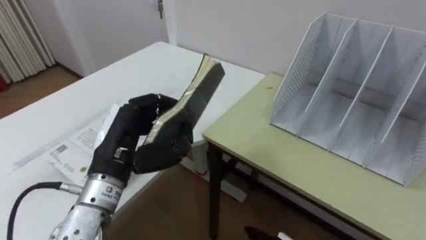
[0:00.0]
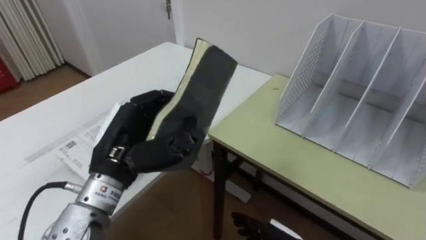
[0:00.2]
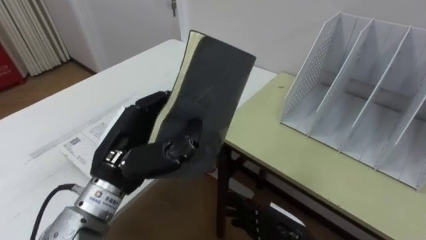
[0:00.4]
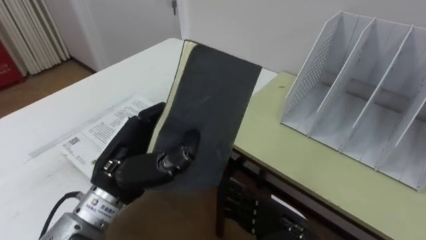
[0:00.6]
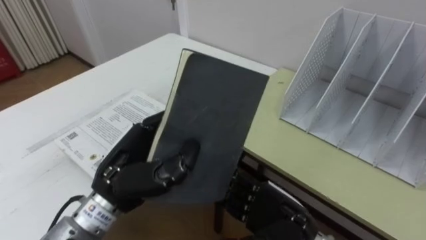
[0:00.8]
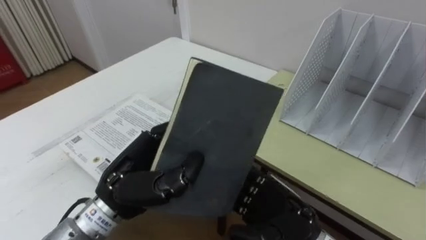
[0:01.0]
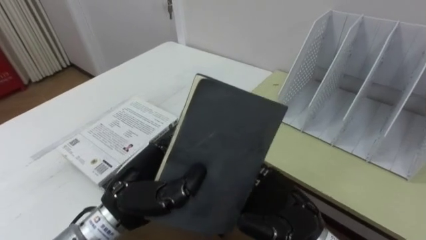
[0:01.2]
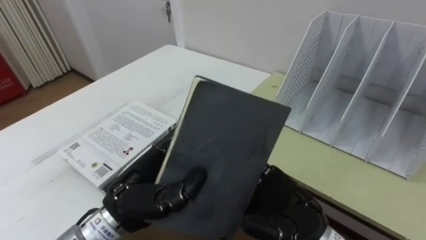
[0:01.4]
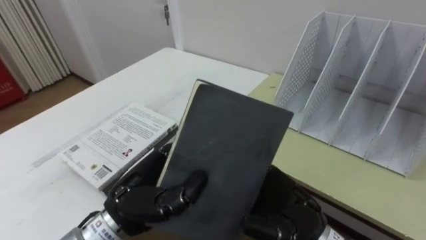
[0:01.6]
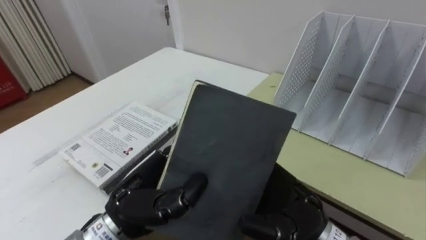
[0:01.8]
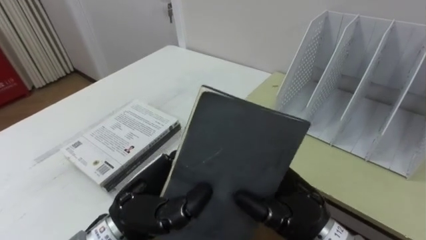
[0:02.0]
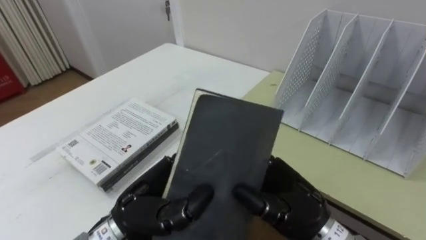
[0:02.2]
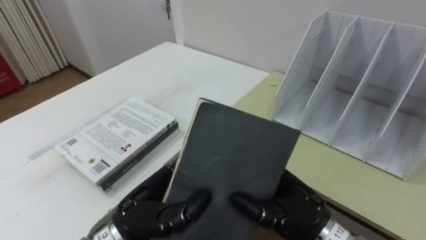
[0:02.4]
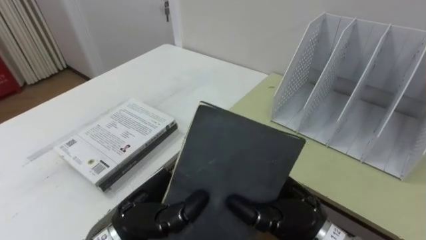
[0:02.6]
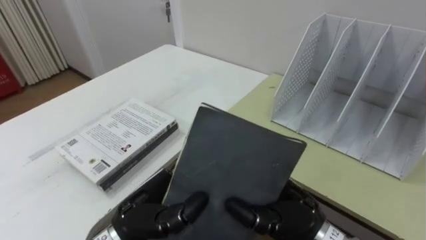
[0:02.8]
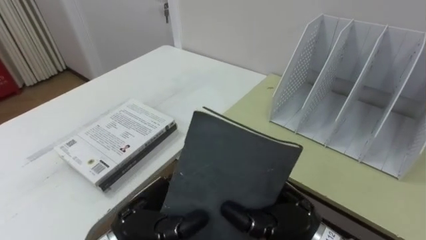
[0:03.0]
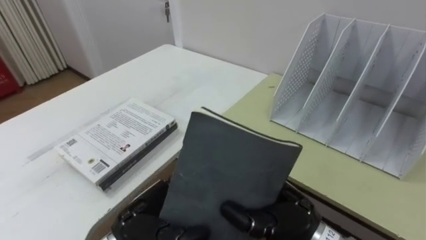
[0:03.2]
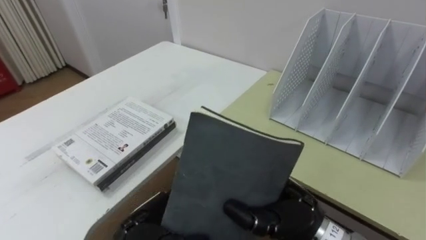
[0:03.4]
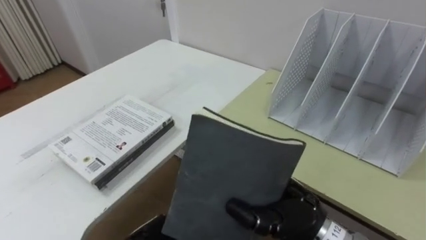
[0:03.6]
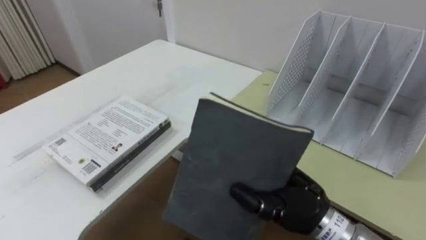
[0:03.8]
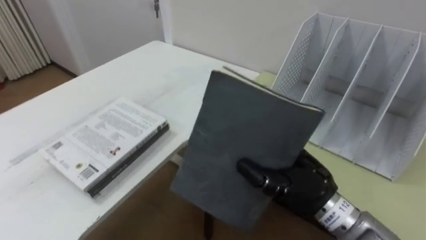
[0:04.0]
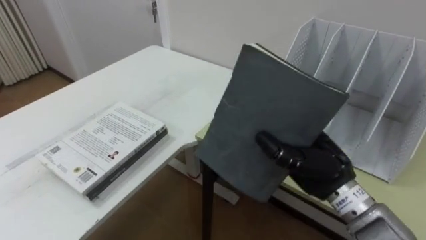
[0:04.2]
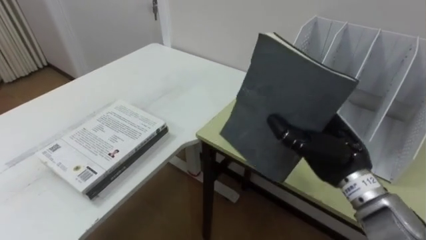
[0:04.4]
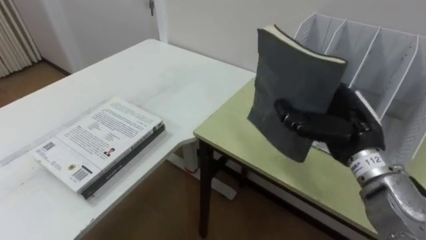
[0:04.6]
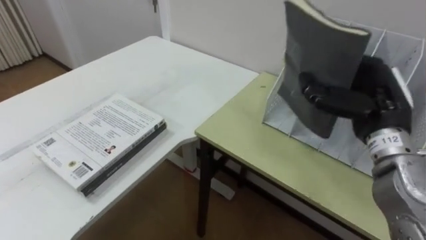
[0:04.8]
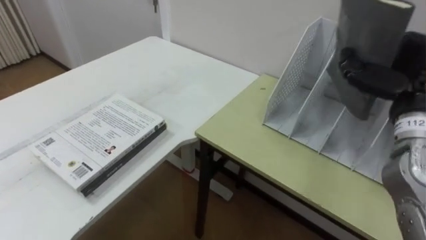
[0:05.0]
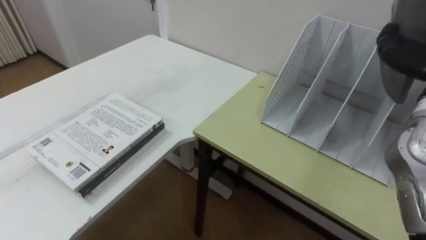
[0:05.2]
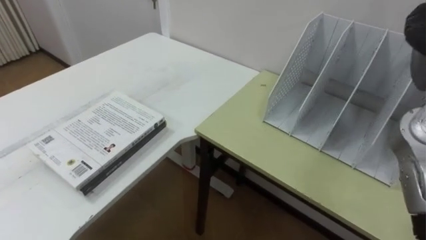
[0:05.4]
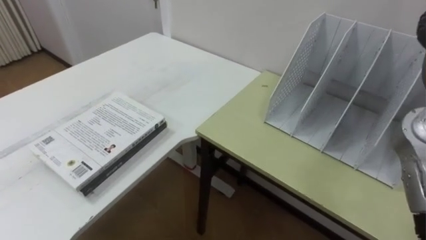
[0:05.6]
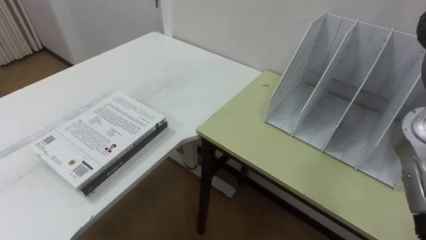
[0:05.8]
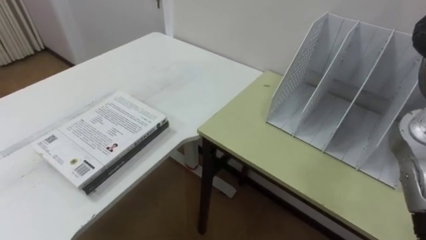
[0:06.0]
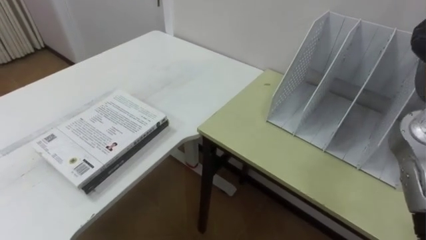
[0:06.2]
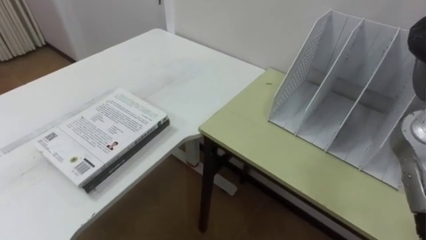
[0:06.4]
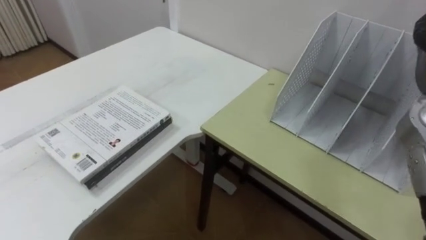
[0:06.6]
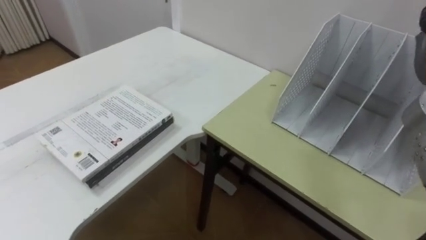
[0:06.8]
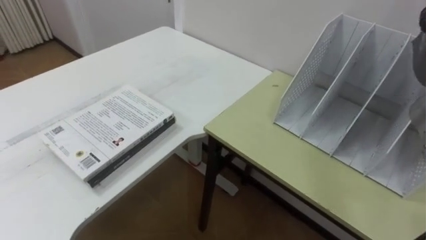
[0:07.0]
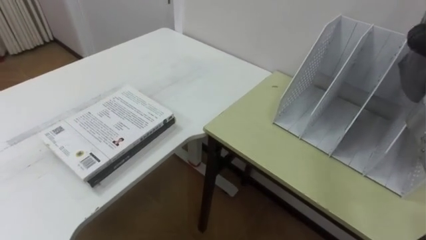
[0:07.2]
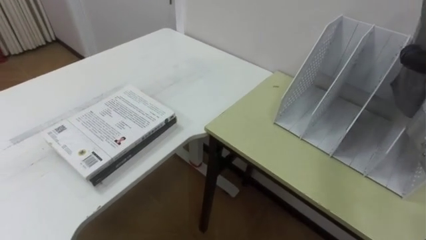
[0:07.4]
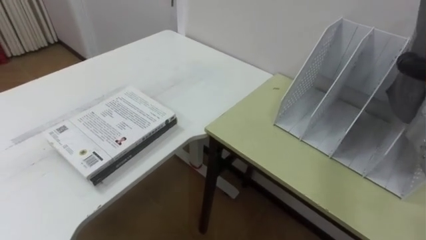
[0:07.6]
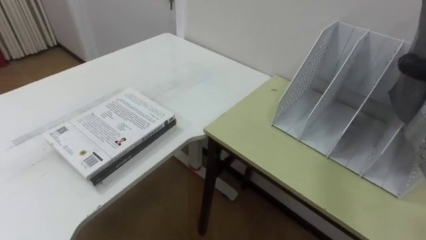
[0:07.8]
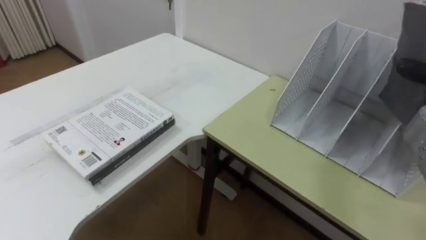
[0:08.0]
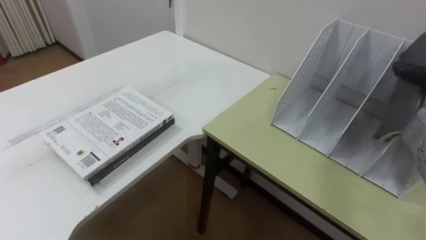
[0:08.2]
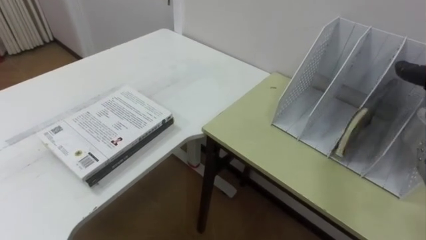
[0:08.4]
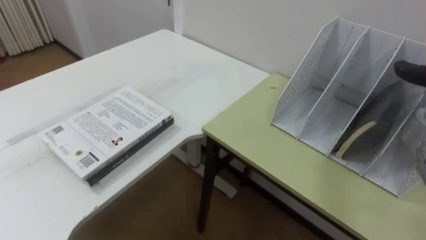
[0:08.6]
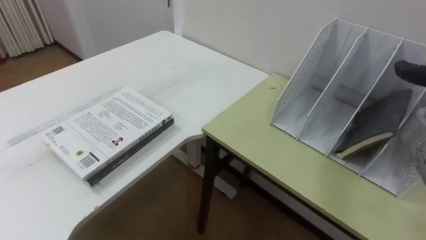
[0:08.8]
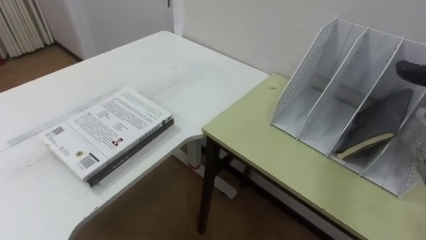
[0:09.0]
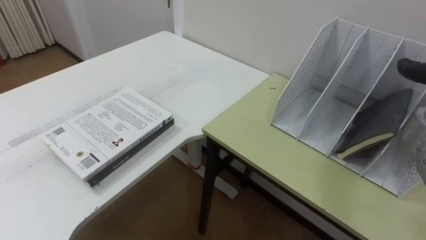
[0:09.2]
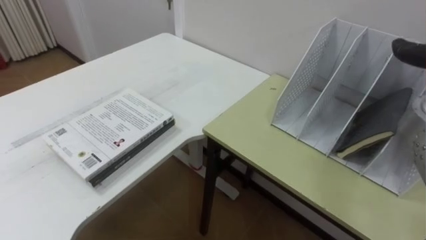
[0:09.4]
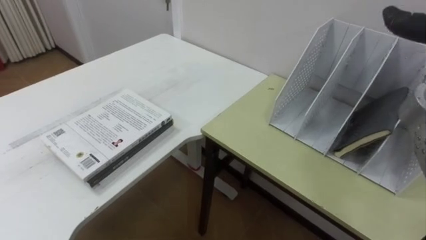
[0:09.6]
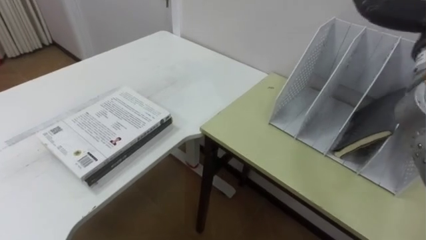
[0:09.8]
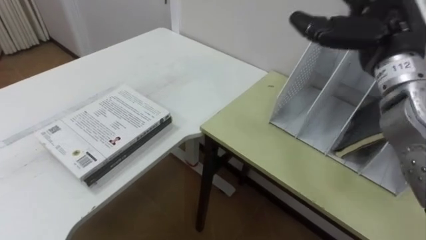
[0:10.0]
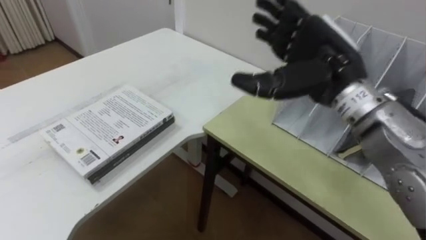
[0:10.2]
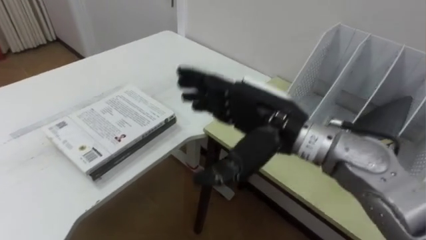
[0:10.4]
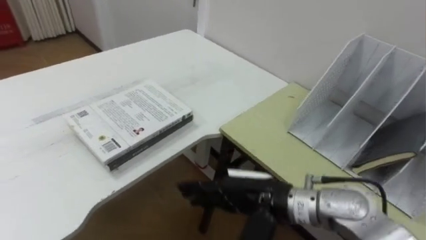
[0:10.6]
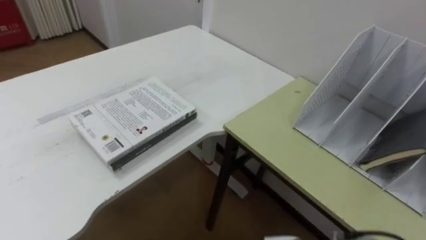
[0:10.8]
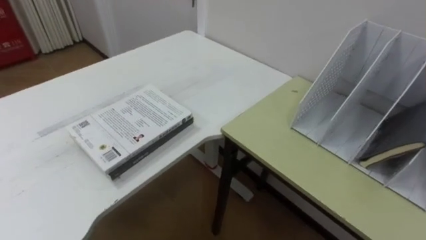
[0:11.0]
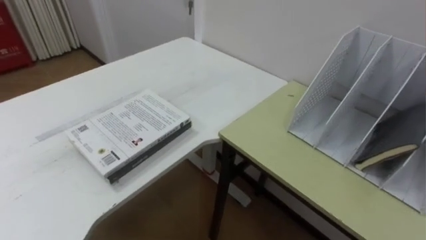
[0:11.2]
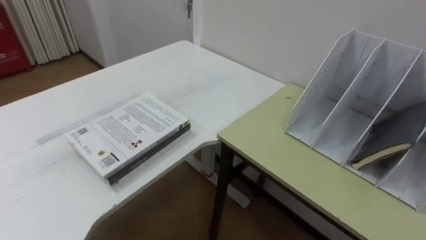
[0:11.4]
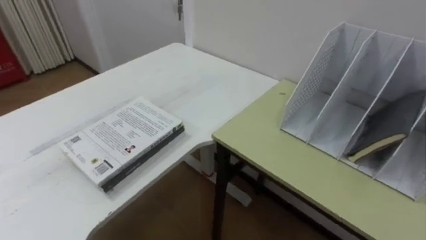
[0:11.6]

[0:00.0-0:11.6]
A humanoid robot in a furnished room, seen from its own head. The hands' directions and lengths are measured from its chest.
Task of the whole recording: Put the books on the table onto the bookshelf.
0:00.0 to 0:01.4: The left hand moves approximately 5 cm.
0:01.4 to 0:02.8: The right hand closes its fingers.
0:02.8 to 0:04.4: The right hand shifts about 10 cm to the right and forward.

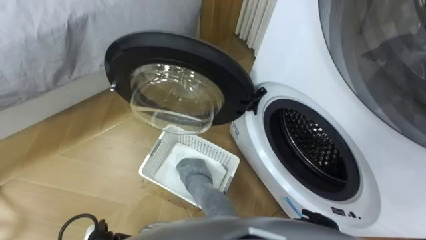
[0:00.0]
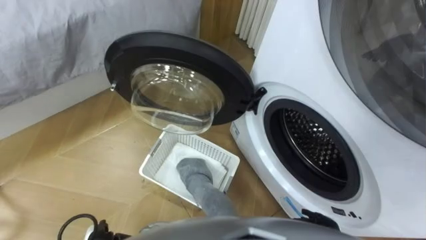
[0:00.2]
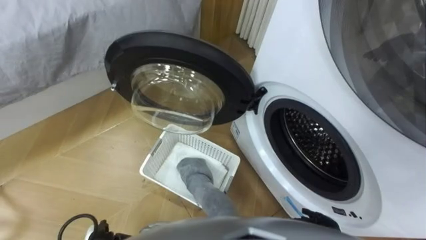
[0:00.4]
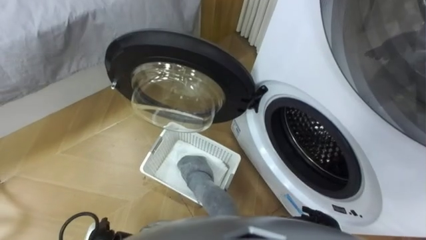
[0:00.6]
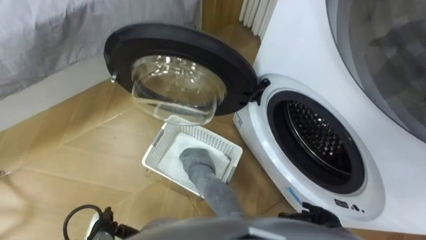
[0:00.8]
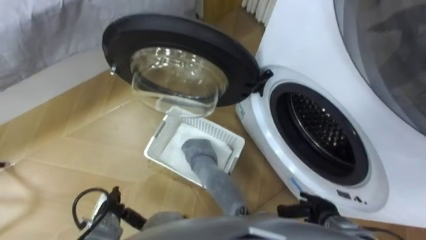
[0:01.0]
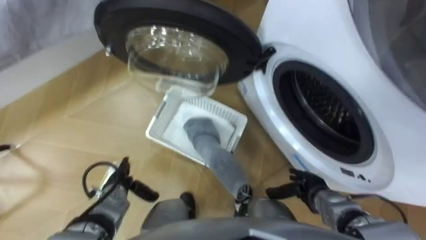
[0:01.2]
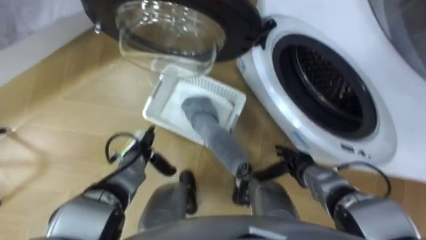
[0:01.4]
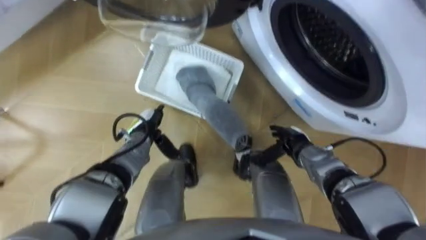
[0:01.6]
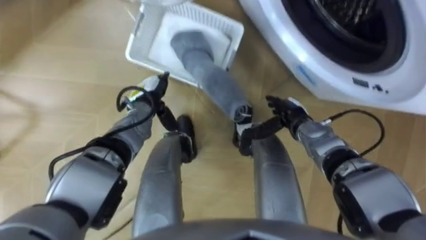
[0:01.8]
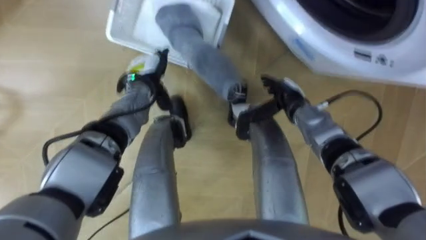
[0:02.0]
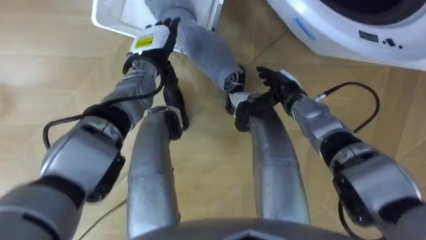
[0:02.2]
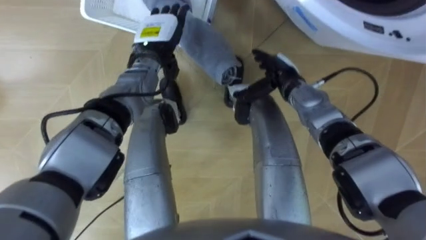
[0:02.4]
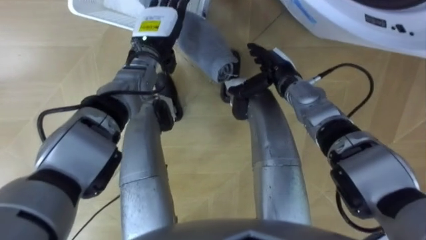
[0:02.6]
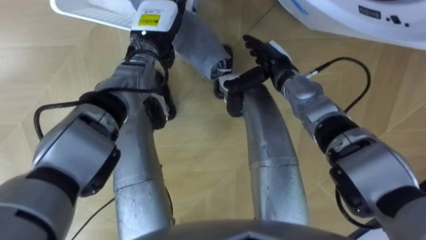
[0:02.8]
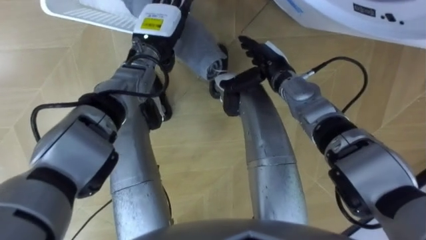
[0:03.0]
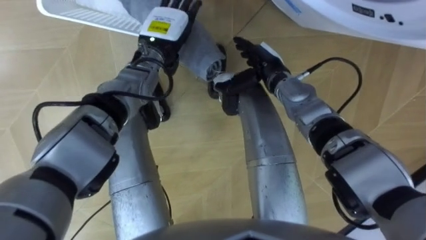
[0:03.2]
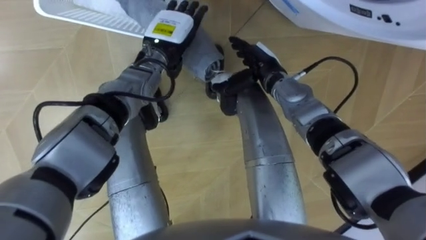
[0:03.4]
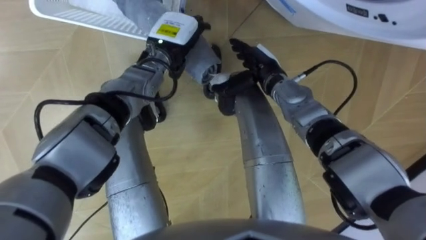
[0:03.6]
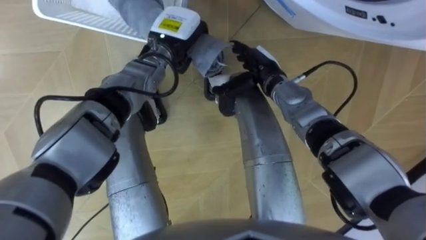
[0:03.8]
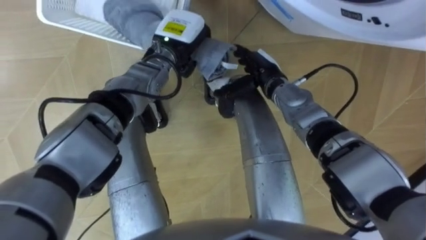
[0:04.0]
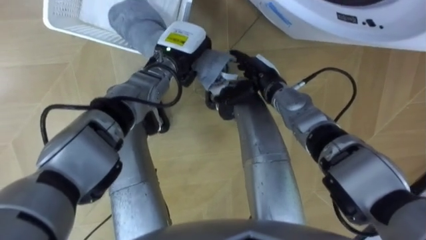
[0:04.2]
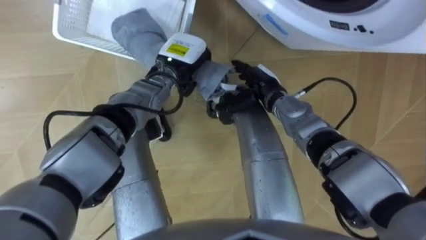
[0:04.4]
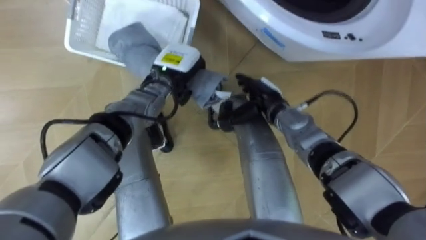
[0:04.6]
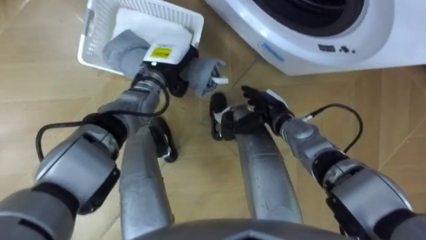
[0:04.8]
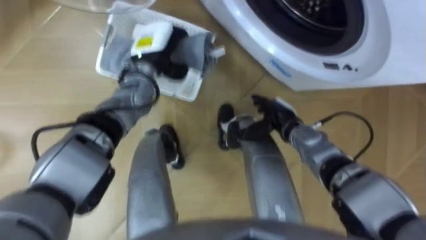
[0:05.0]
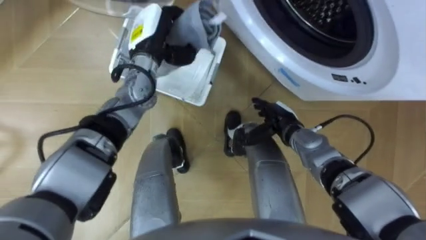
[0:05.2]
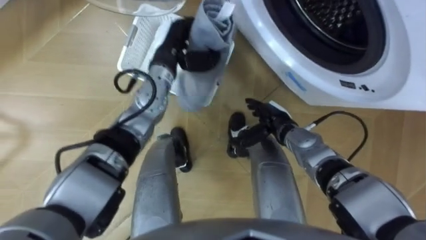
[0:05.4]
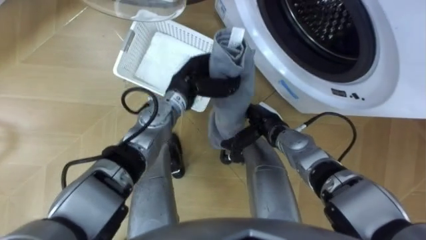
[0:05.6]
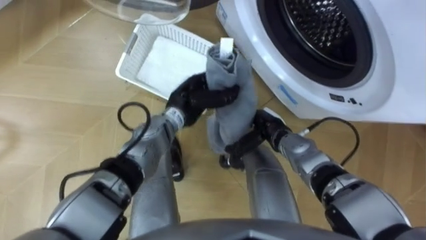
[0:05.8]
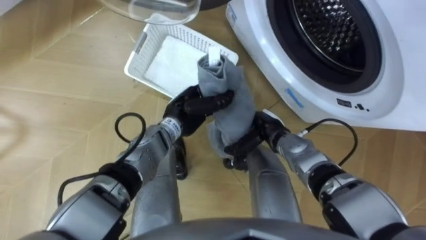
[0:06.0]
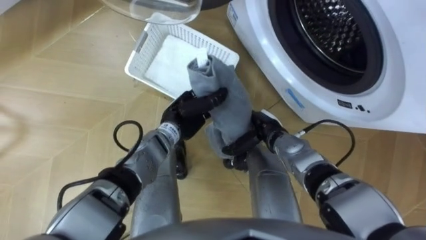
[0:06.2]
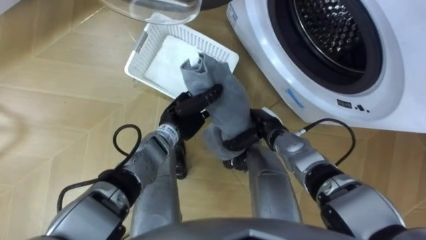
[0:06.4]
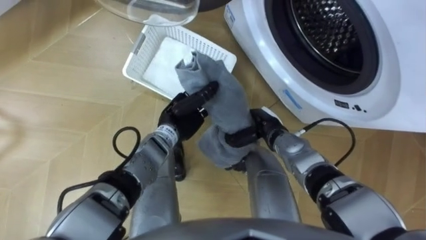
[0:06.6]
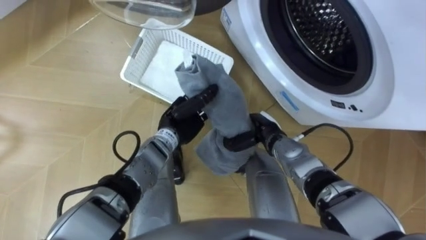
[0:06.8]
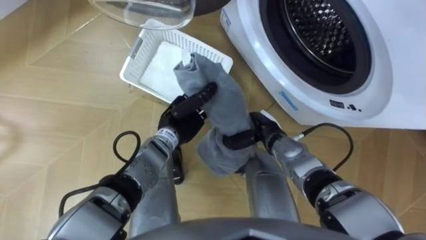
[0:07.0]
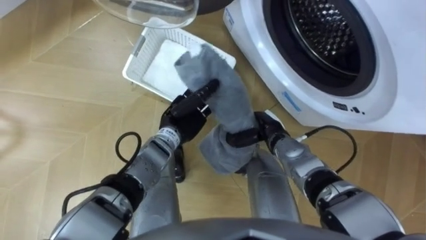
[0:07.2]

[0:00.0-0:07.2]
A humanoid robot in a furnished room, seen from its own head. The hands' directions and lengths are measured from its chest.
Task of the whole recording: Take the towel from the basket and put it into the washing machine.
0:01.4 to 0:02.8: The right hand moves forward, upward and to the left, approximately 25 cm, while the left hand moves upward and forward, some 30 cm.
0:02.8 to 0:04.4: The right hand moves roughly 5 cm, while the left hand ends up about 10 cm from where it was, and closes.
0:04.4 to 0:05.8: The left hand is displaced backward by about 5 cm. Meanwhile the right hand is displaced backward and downward by some 10 cm.
0:05.8 to 0:07.2: The right hand closes.
